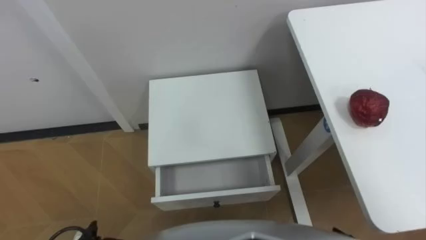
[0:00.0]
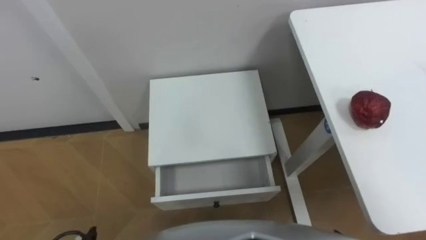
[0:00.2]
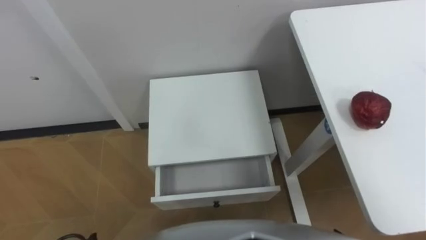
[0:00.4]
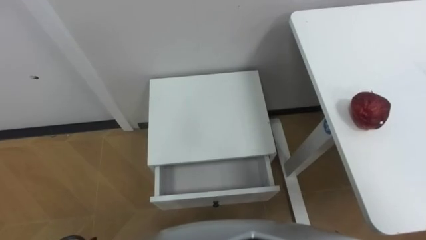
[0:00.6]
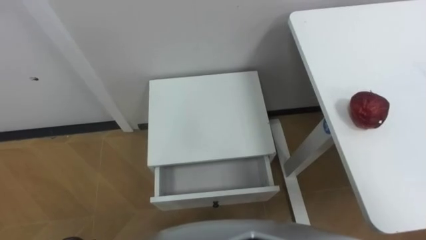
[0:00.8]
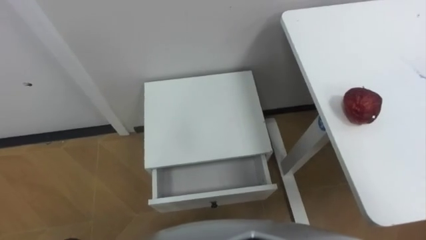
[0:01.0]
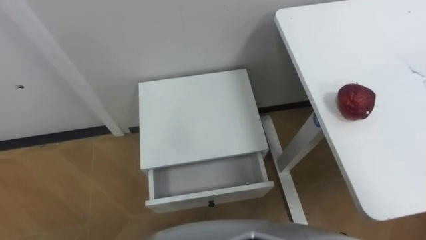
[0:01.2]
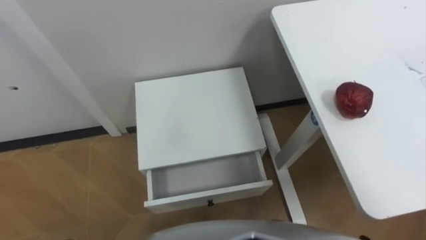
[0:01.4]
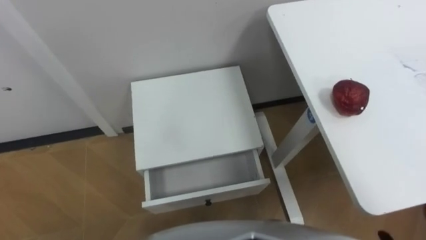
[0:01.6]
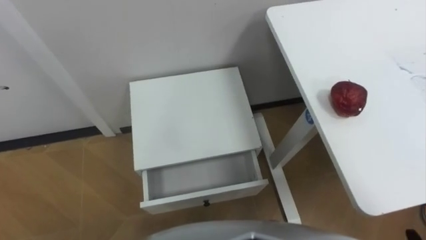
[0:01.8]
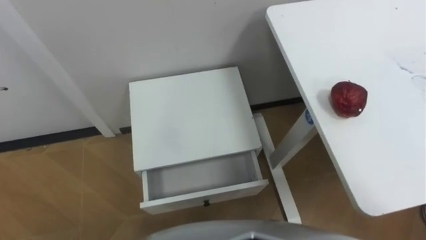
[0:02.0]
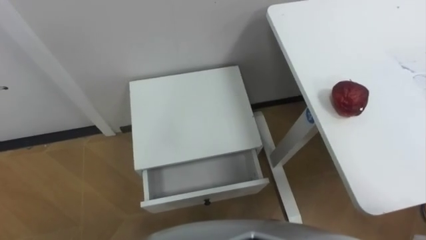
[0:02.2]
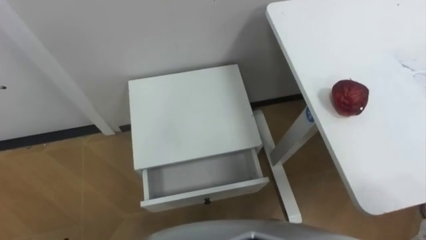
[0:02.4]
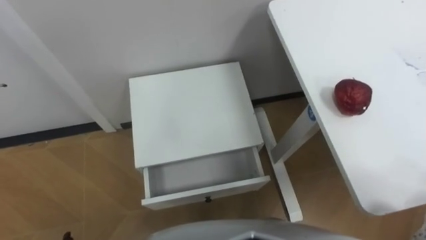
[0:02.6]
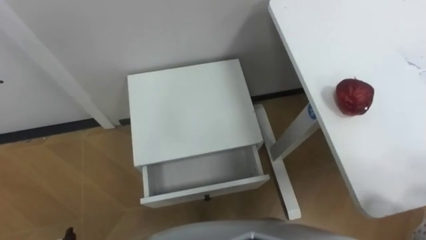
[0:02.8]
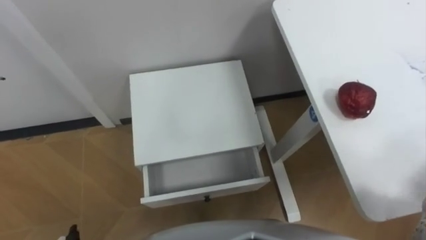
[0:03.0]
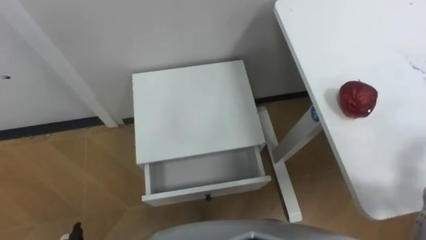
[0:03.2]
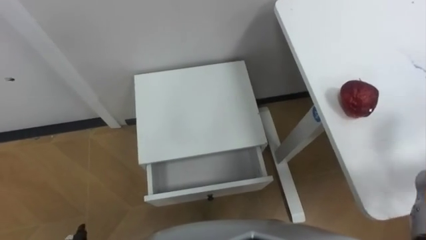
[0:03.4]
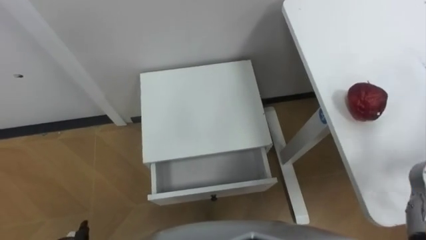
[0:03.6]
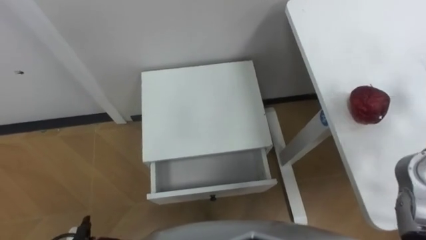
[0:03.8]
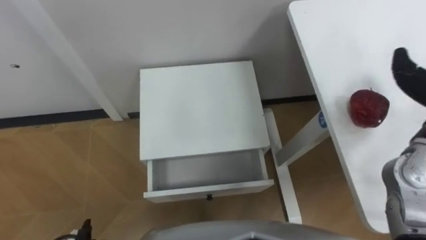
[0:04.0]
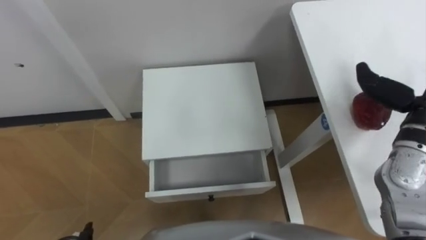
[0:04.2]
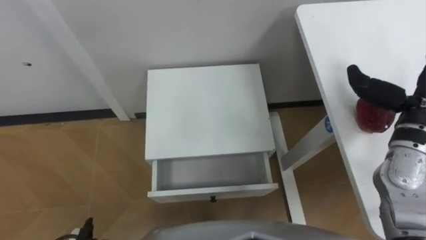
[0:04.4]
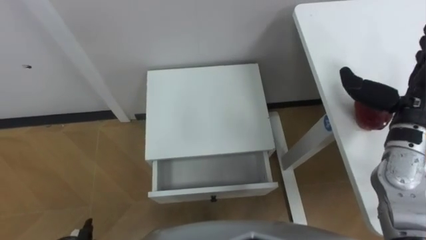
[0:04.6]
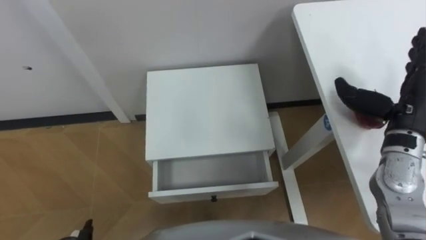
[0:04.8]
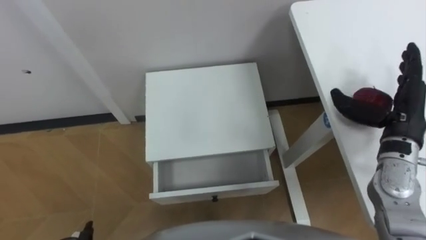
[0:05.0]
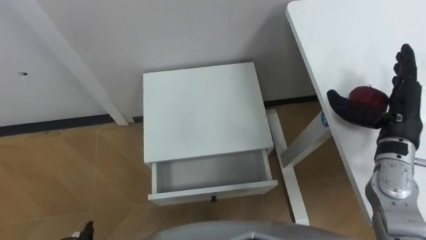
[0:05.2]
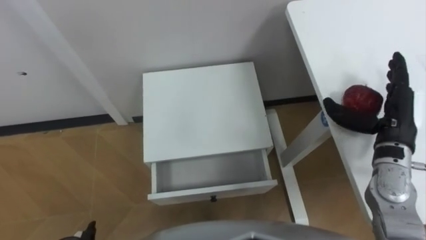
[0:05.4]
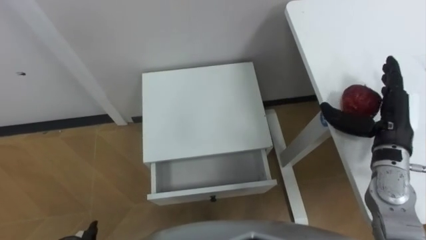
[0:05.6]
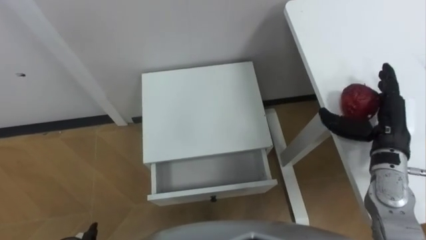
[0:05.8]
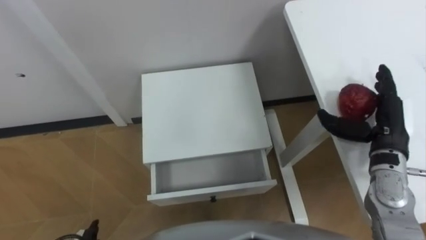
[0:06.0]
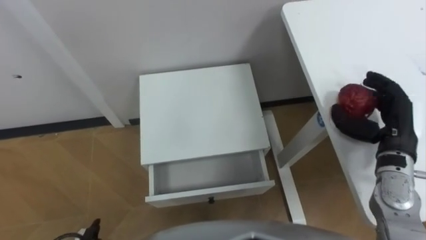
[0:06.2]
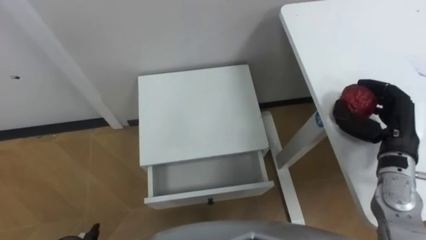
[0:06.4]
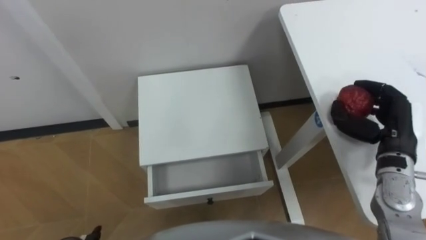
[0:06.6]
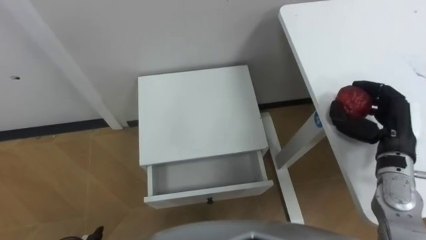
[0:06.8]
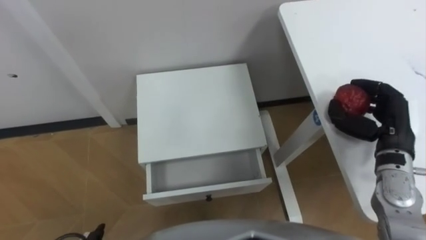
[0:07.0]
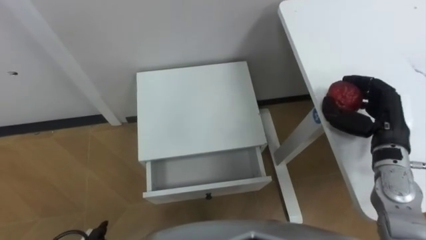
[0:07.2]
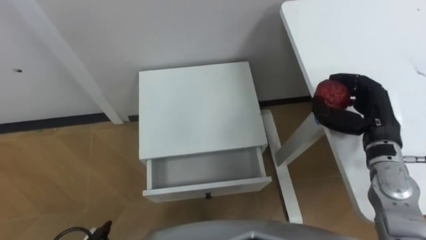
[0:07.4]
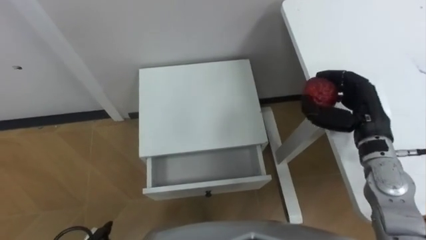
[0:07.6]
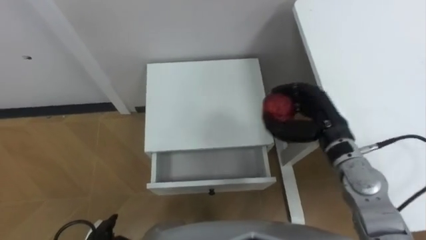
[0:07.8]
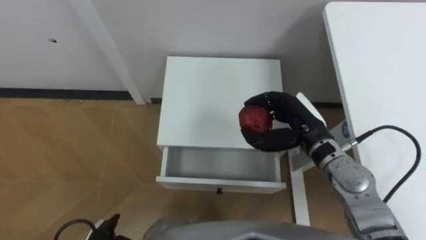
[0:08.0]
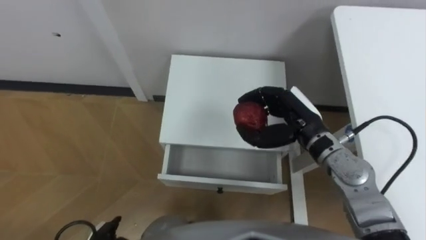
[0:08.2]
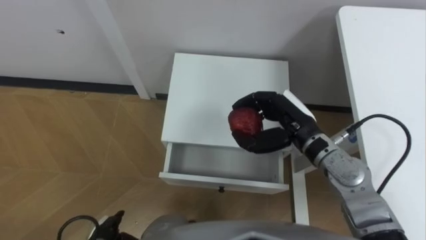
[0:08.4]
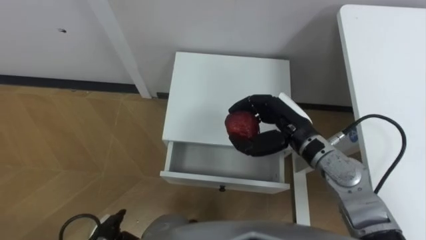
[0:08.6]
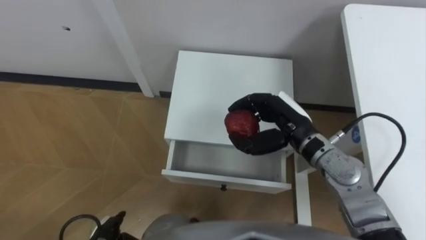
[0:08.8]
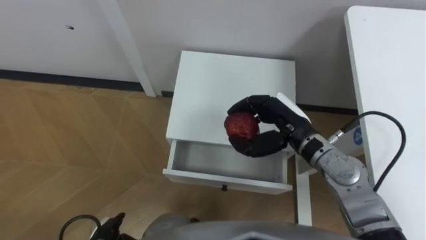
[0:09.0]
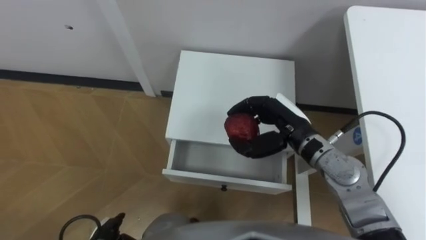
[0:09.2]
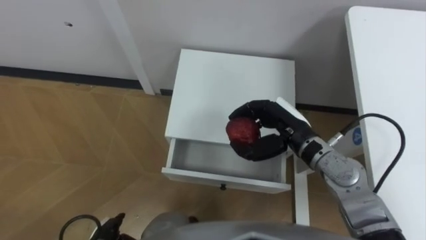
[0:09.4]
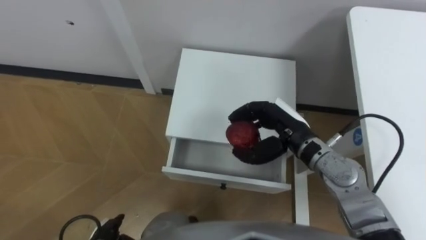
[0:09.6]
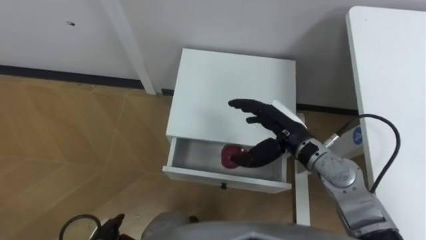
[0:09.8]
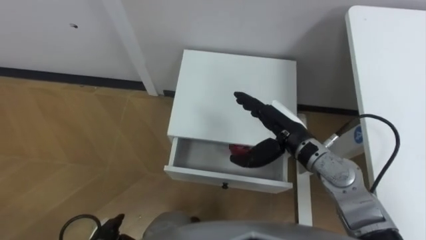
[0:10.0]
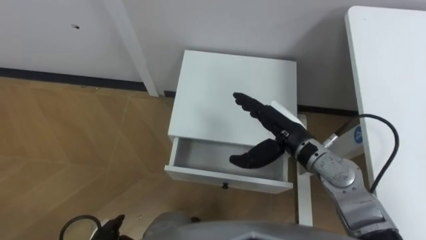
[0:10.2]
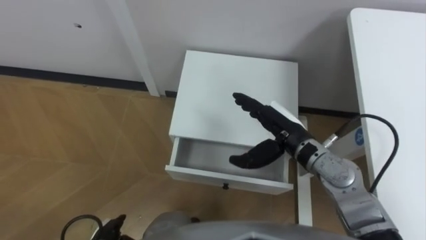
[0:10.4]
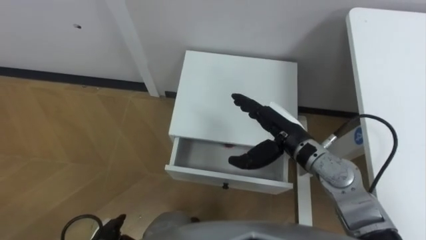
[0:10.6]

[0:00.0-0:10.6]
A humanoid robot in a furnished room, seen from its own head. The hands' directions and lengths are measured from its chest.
Task of the whole recording: Pick up the apple from the table, put it in the drawer, and close the drawer with leg.
0:04.6 to 0:06.0: The right hand shifts roughly 5 cm downward.
0:06.0 to 0:07.6: The right hand ends up some 5 cm from where it was, and closes.
0:07.6 to 0:09.0: The right hand goes some 15 cm to the left.
0:09.0 to 0:10.6: The right hand opens.

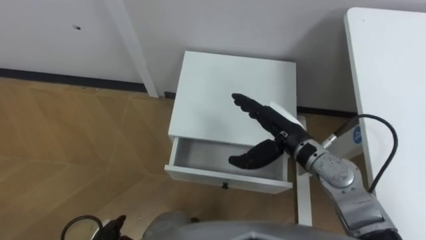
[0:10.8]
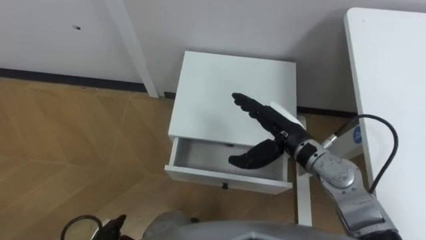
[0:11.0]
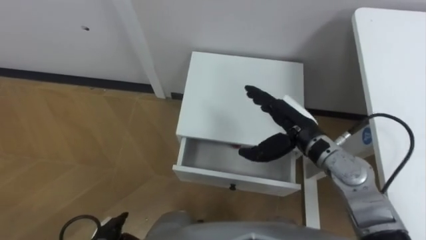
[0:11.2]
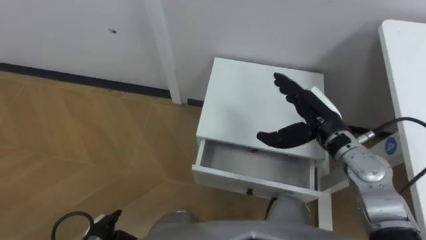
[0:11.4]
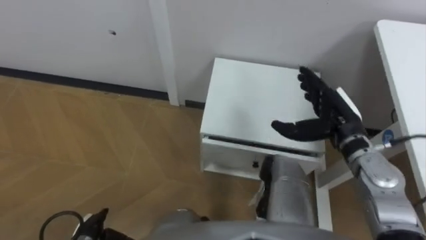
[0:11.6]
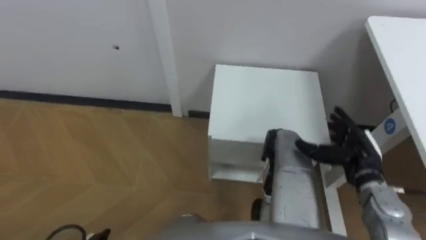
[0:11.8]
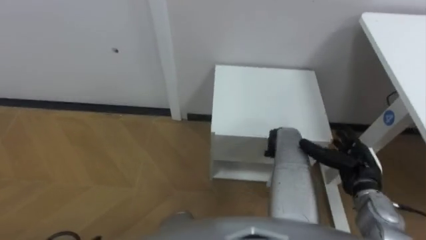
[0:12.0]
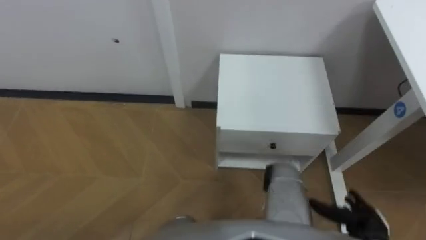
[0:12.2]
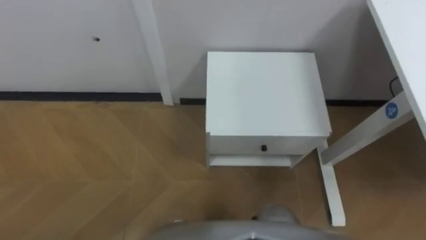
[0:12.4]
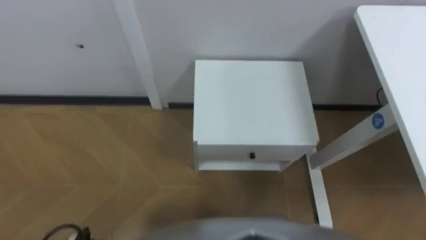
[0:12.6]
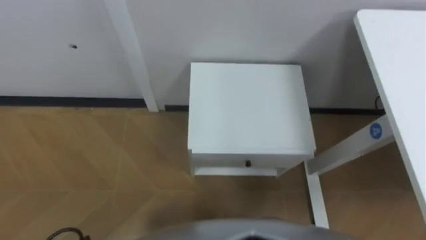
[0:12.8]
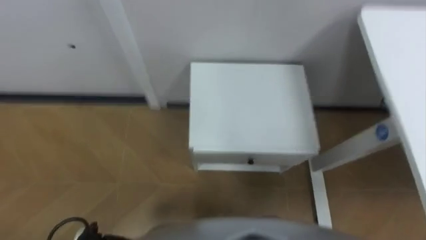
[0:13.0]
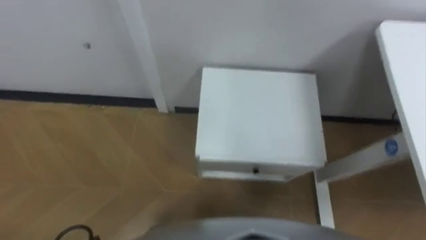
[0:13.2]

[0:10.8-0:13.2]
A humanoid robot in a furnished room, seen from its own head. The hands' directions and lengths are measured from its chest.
Task of the whole recording: Pick up the apple from the table, put it in the drawer, and close the drawer with leg.
0:10.8 to 0:12.0: The right hand heads to the right, downward and backward, covering roughly 20 cm.

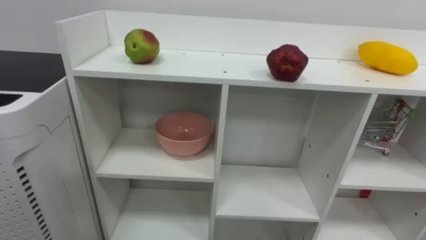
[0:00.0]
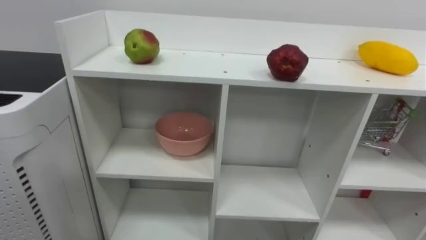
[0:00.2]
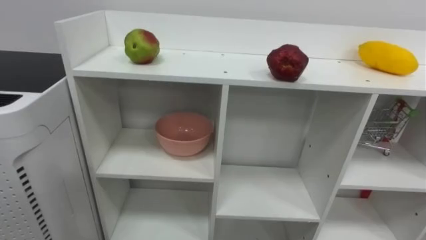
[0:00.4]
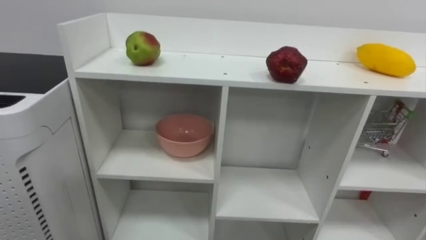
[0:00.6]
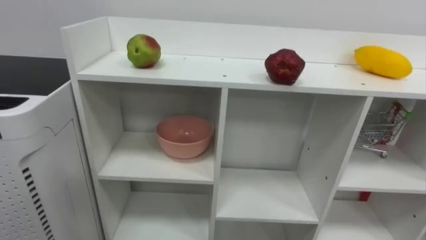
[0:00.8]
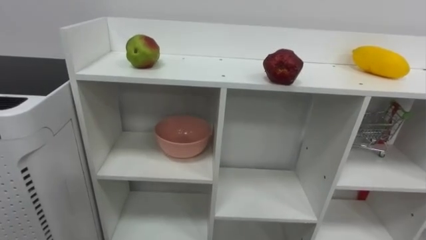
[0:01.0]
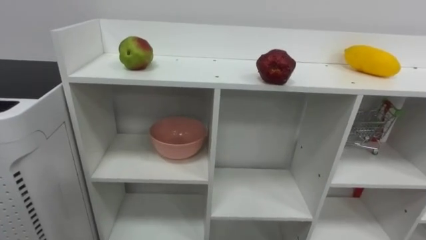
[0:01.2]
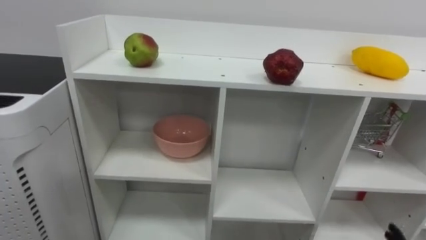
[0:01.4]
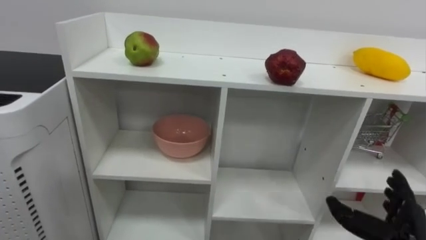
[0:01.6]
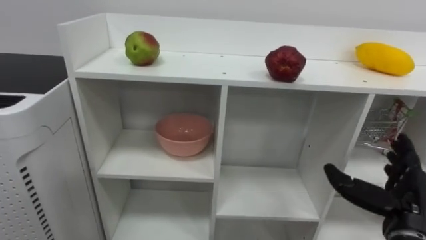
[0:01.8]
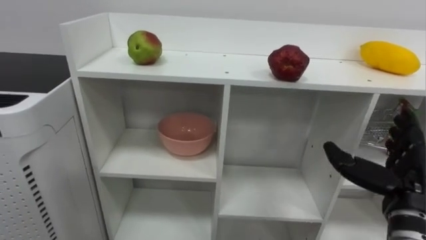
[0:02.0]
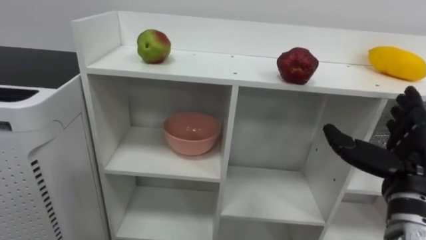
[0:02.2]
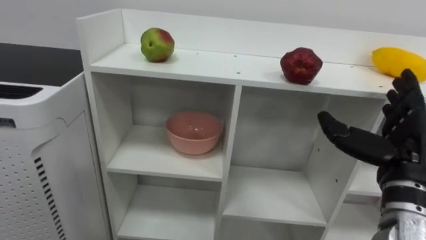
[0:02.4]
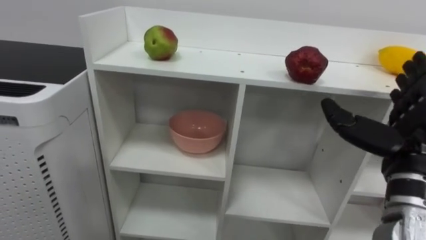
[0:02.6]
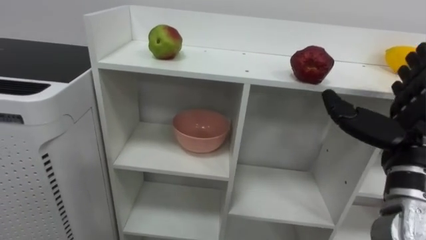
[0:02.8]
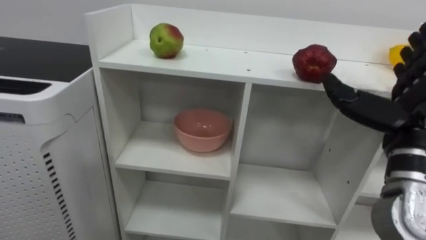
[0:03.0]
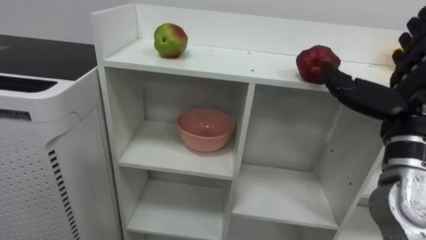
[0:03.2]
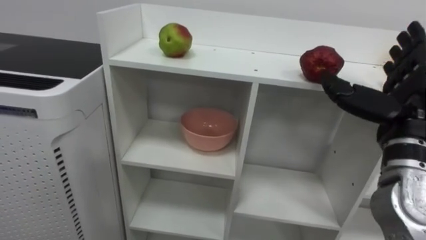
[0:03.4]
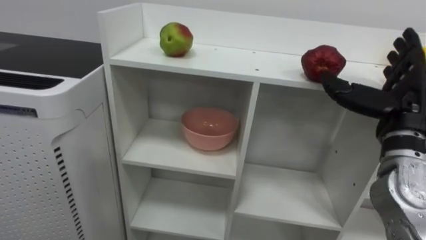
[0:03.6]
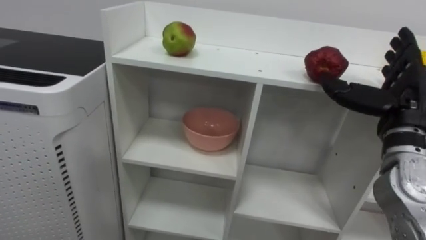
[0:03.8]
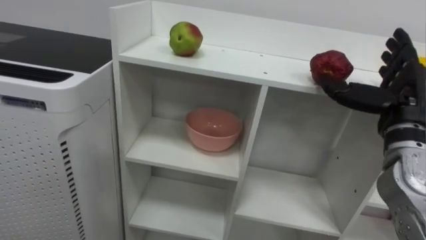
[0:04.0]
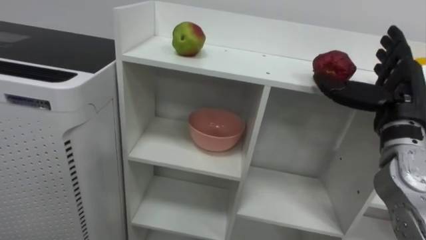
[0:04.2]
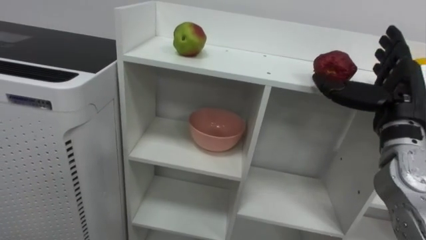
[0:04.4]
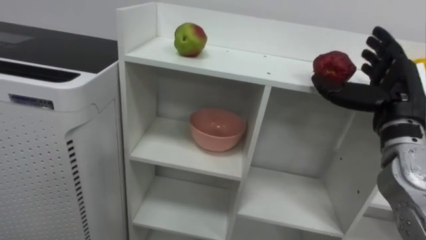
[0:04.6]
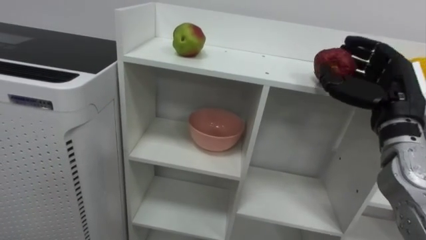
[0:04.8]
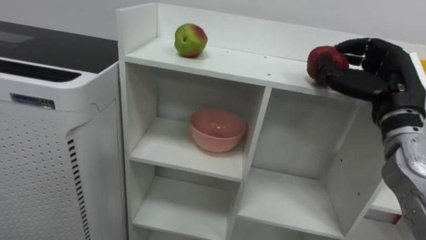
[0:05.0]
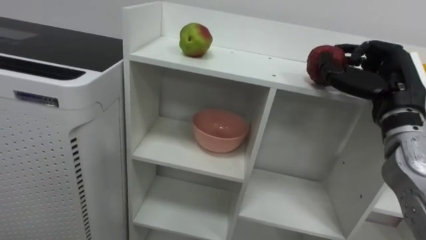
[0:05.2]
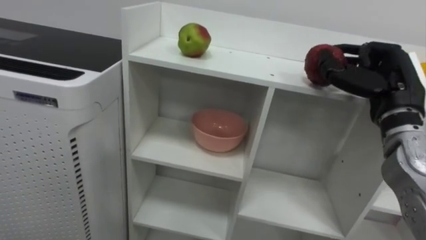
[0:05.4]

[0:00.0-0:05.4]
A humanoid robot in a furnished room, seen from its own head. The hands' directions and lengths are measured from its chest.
Task of the whole recording: Put the apple in the cell in the second column from the left and the second row from the top.
0:02.8 to 0:04.0: The right hand moves forward, some 5 cm.
0:04.0 to 0:05.4: The right hand closes its fingers.
